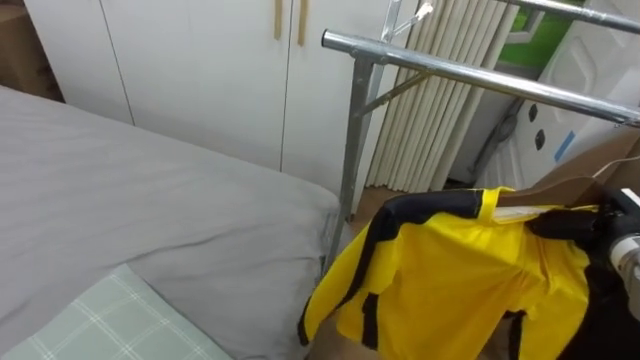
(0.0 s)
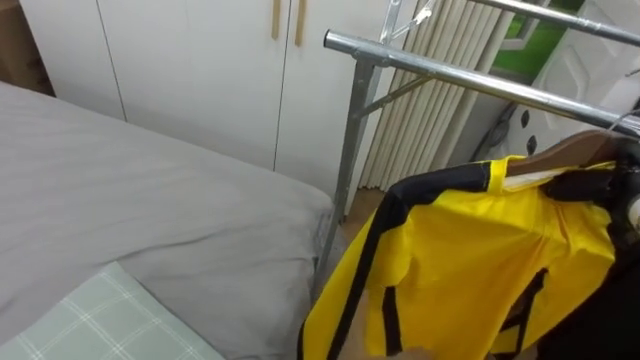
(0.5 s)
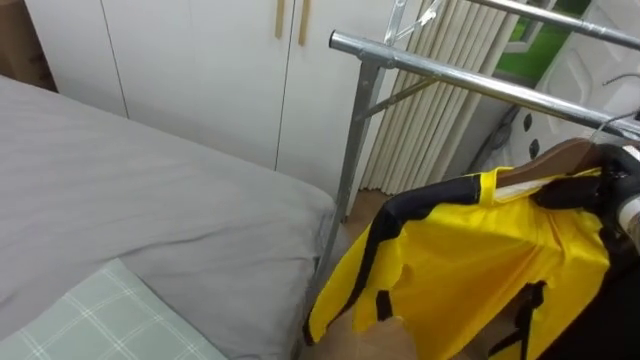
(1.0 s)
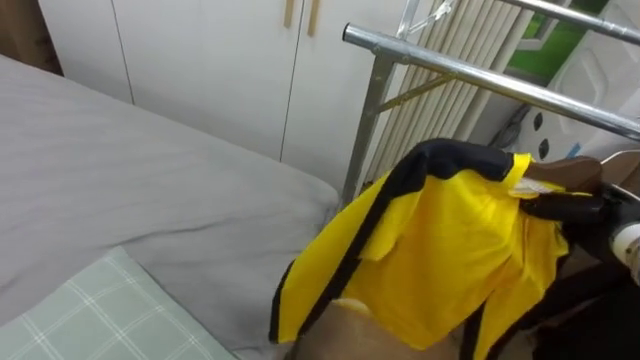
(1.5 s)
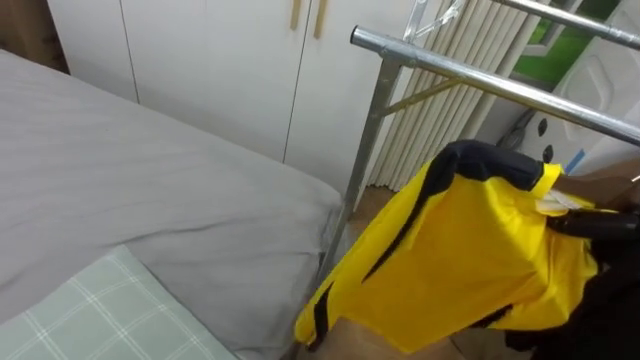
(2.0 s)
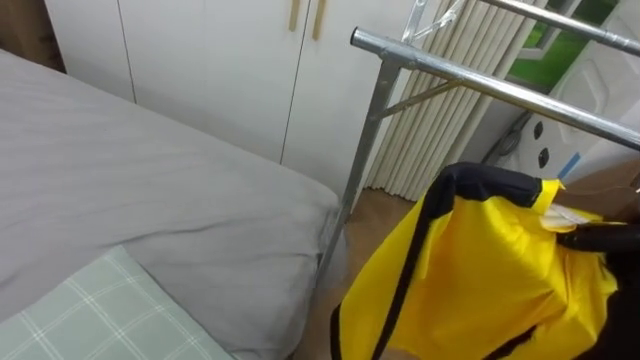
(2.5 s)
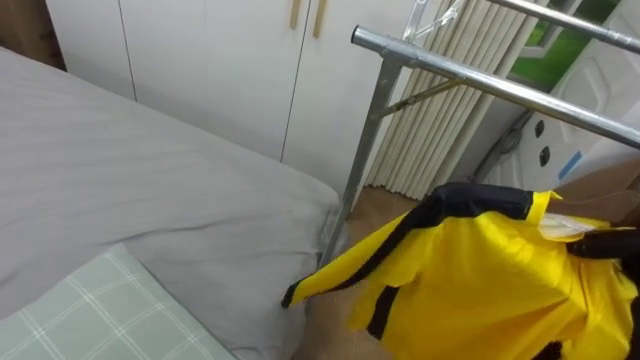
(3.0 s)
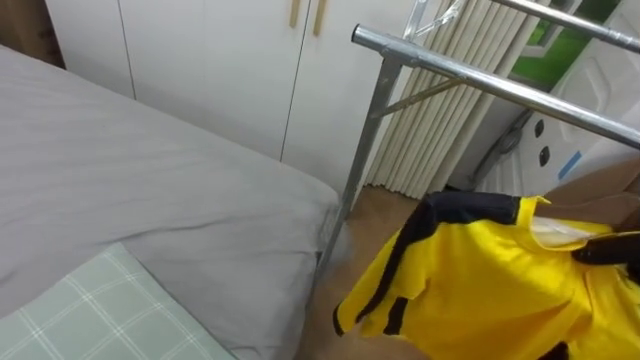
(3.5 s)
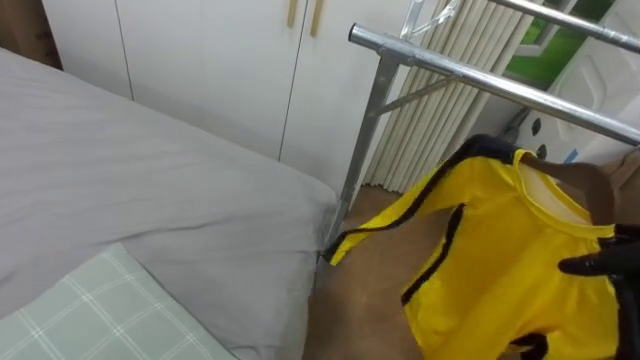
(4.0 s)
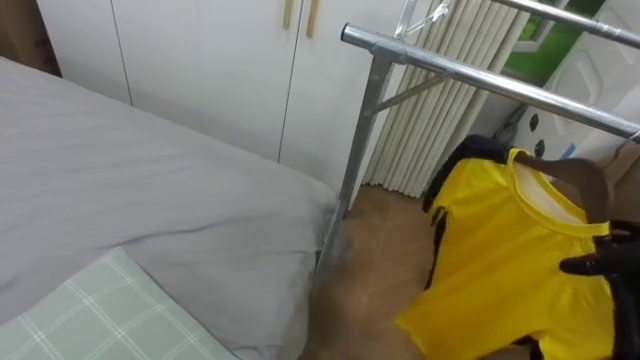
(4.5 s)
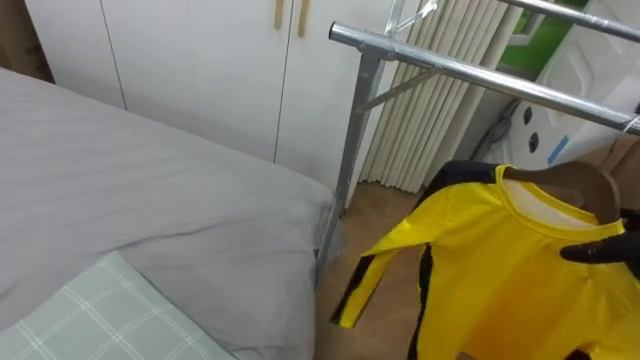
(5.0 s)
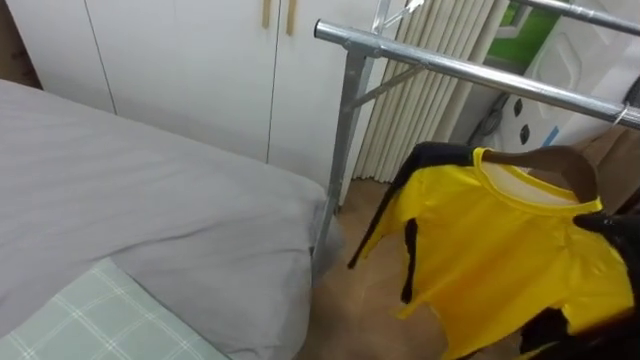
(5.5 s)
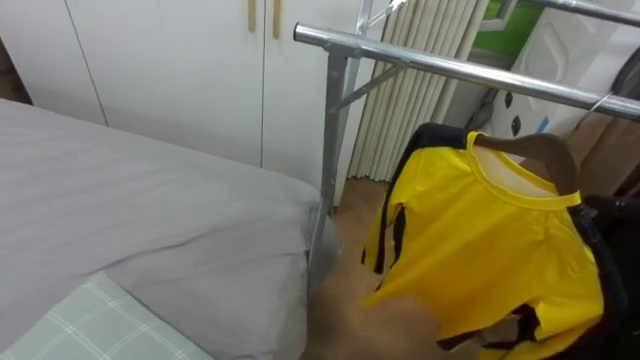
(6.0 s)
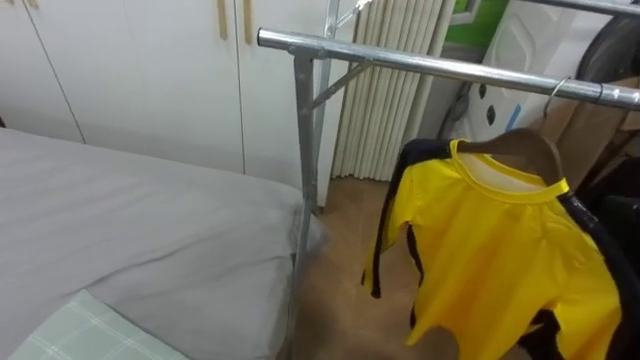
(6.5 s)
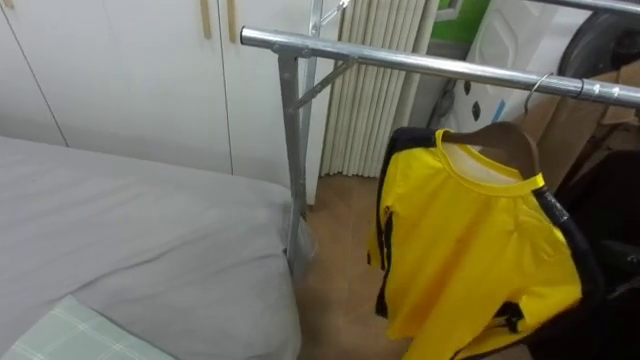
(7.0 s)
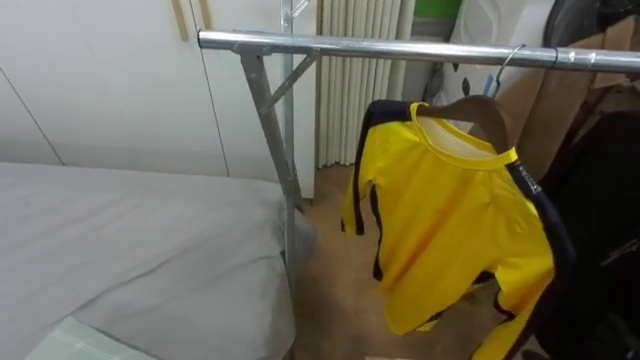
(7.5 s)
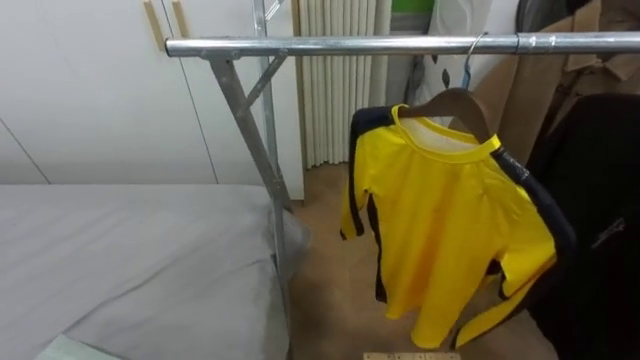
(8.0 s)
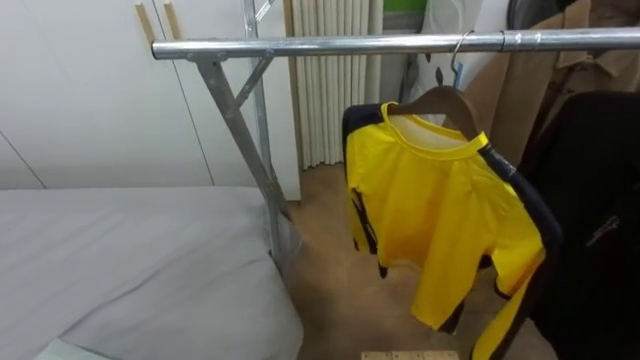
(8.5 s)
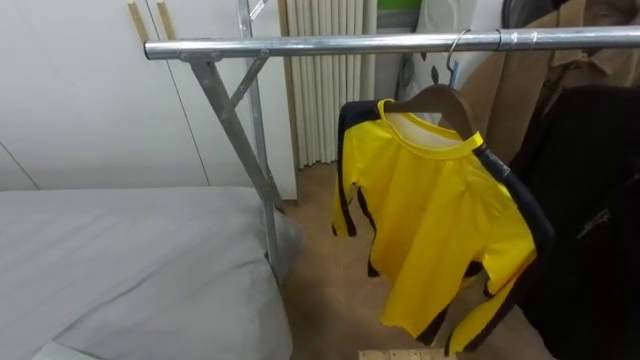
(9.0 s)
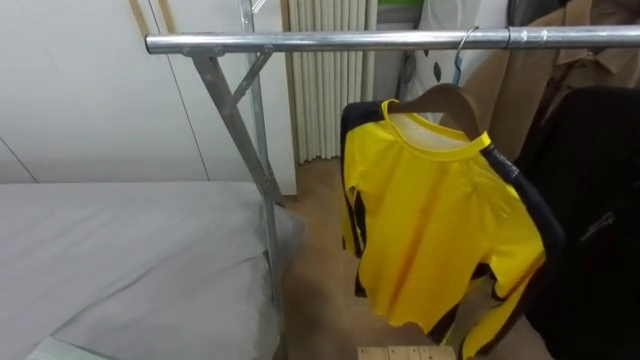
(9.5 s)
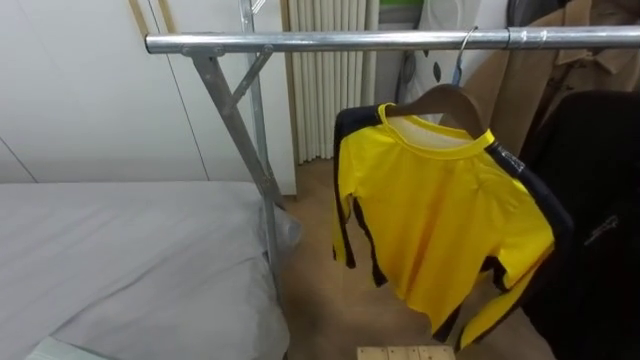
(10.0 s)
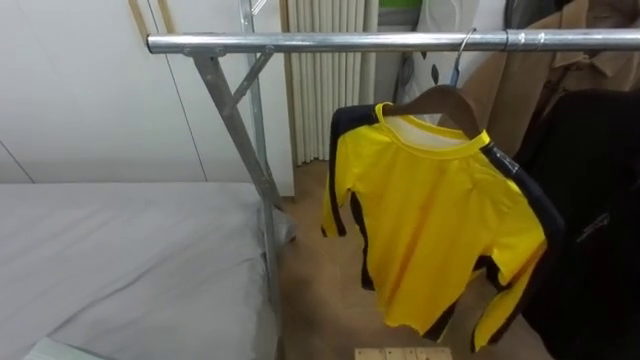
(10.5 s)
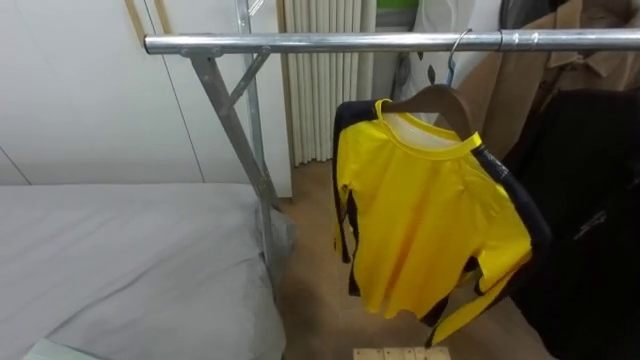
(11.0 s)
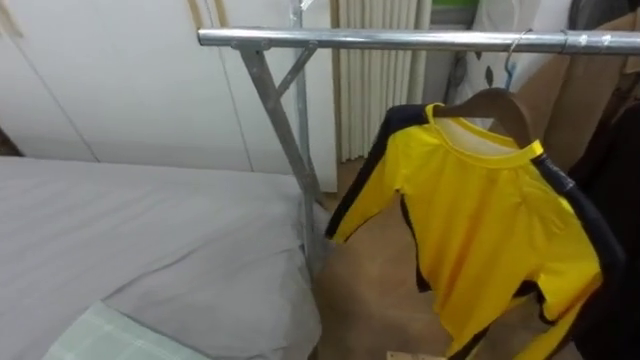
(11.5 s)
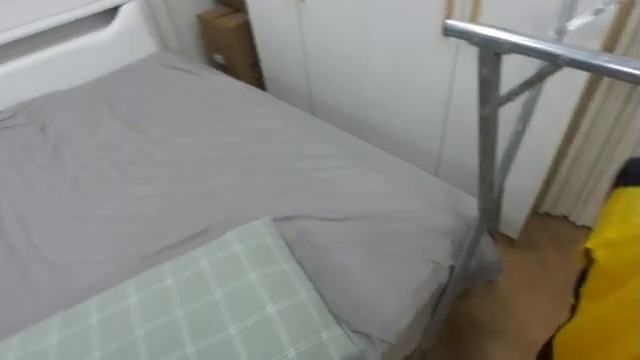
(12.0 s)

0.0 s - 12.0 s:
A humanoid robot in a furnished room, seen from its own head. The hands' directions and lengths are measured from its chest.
Task of the whole recording: Pick up the yellow shirt on the bed and hang it on the clothes rack on the right.
10.0 s - 12.0 s: The robot's body swings roughly 40 degrees to its left.

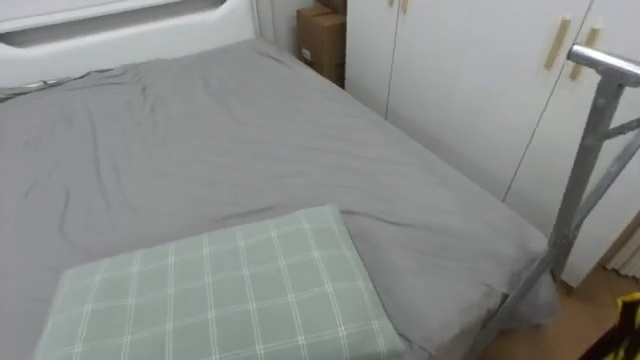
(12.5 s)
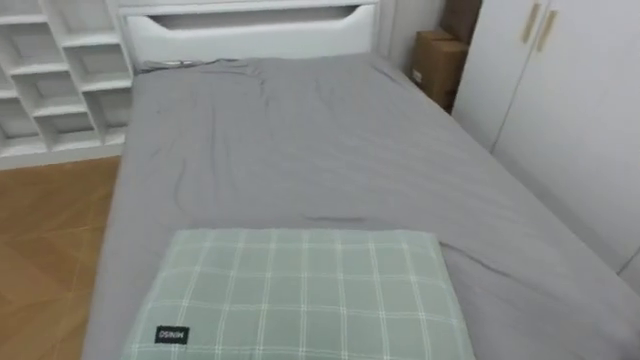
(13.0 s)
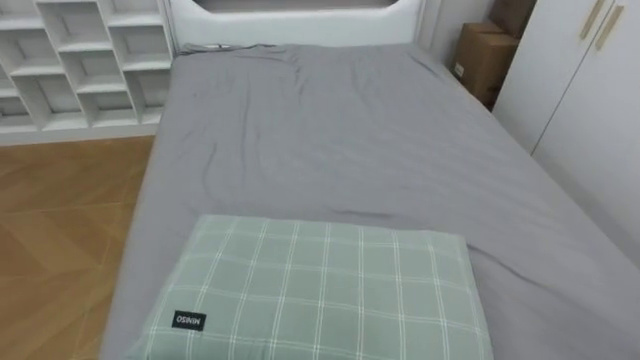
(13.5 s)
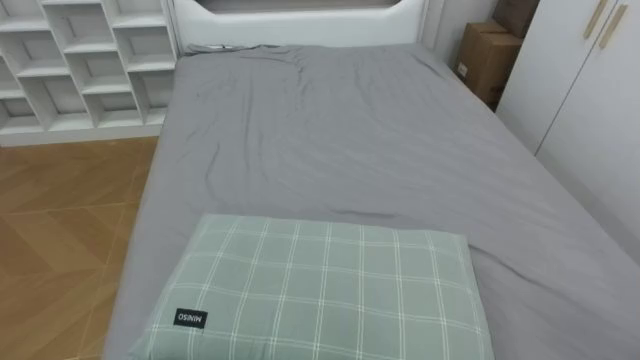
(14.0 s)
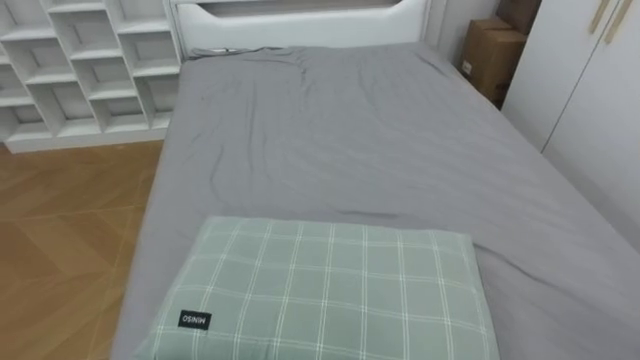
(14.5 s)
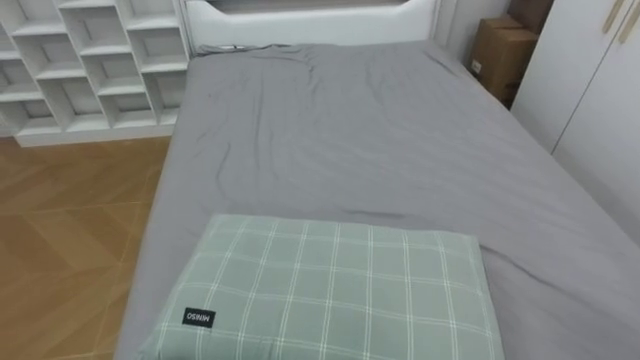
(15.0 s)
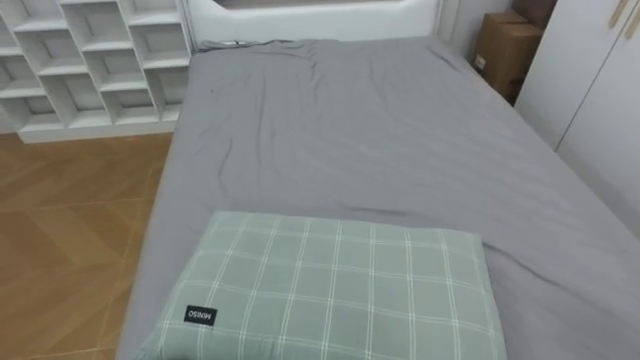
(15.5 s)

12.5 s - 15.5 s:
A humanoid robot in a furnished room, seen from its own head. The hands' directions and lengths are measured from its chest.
Task of the whole recording: Pick up the yellow shirt on the bed and hang it on the clothes rack on the right.
12.5 s - 14.0 s: The robot rotates roughly 25 degrees to its left.

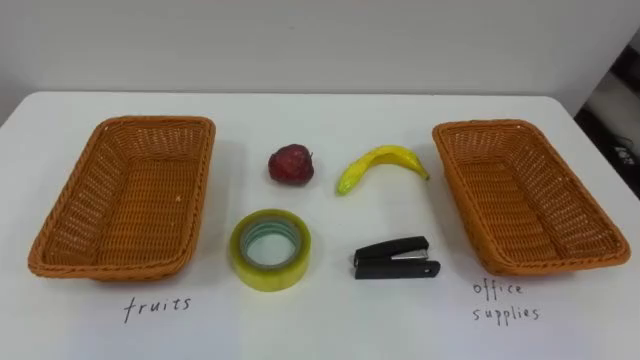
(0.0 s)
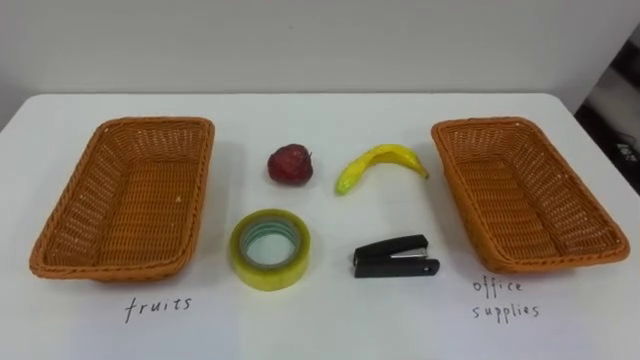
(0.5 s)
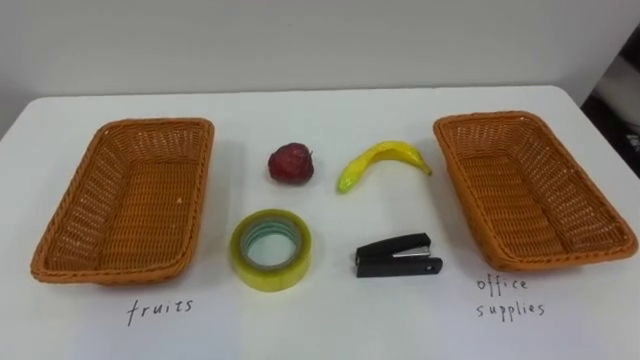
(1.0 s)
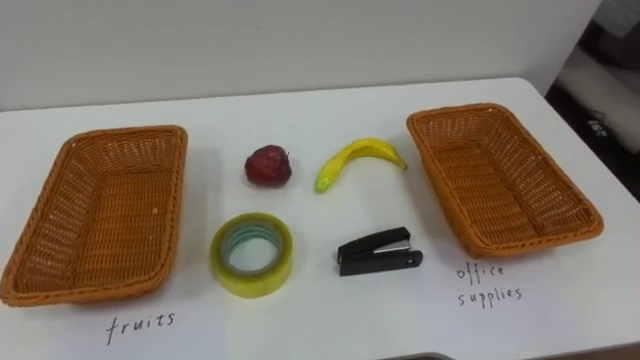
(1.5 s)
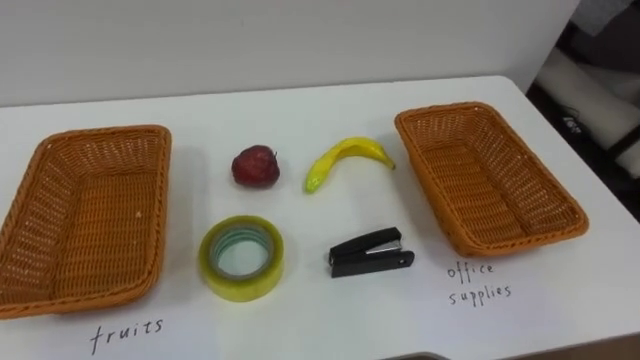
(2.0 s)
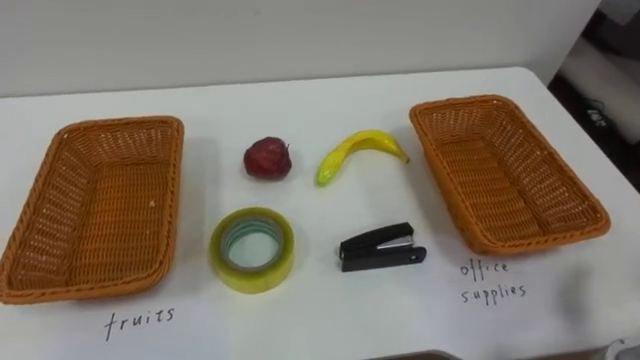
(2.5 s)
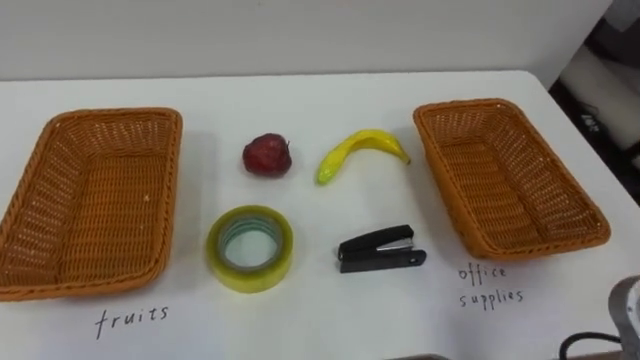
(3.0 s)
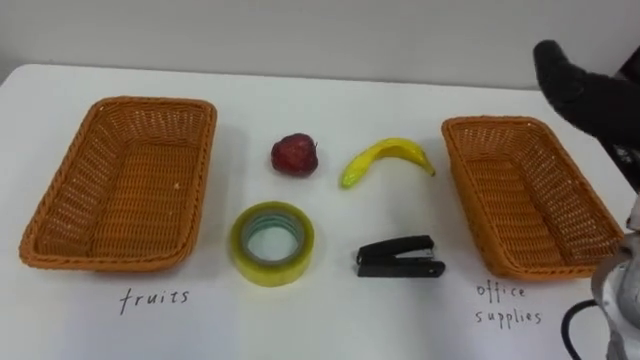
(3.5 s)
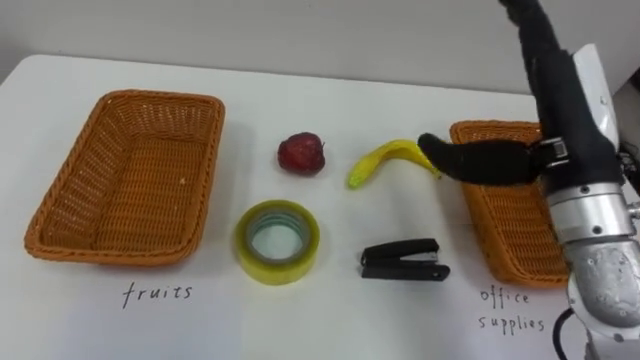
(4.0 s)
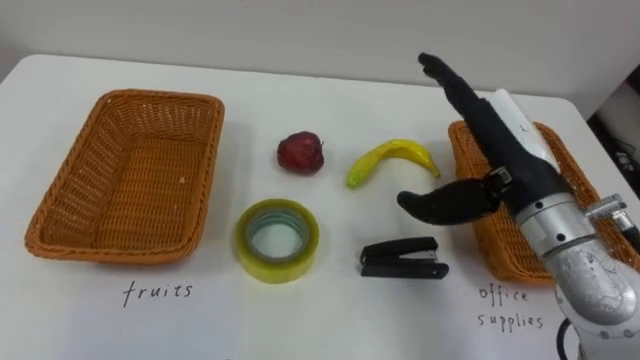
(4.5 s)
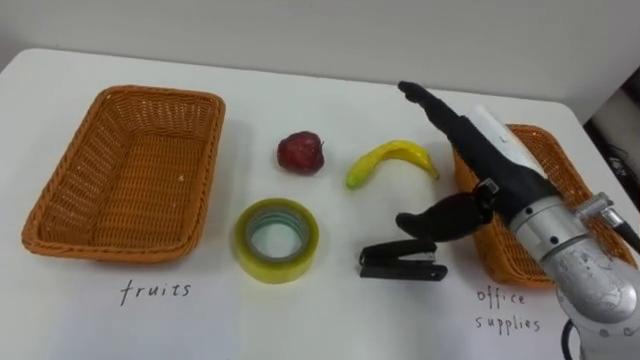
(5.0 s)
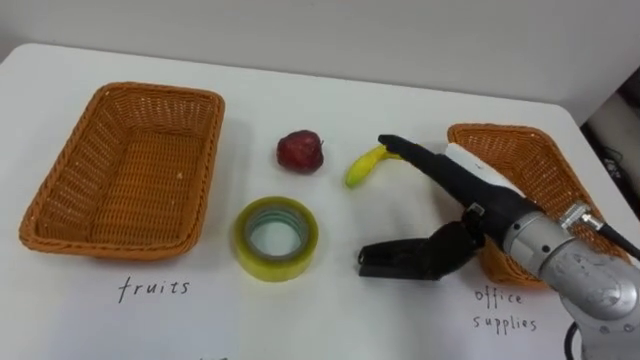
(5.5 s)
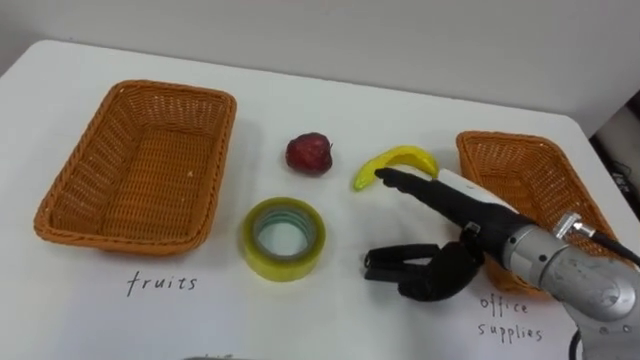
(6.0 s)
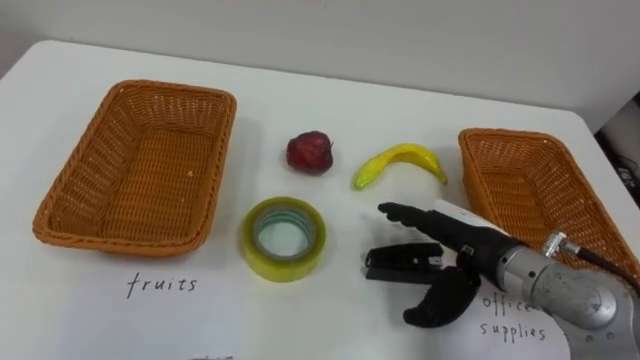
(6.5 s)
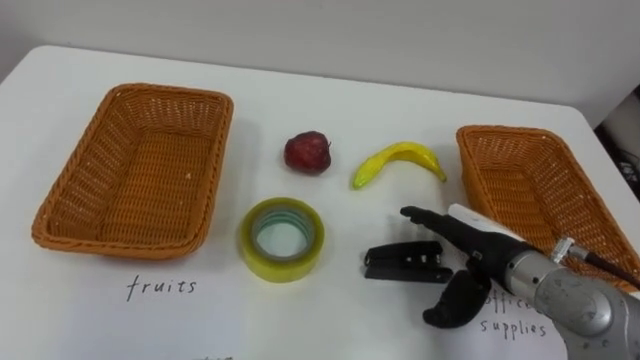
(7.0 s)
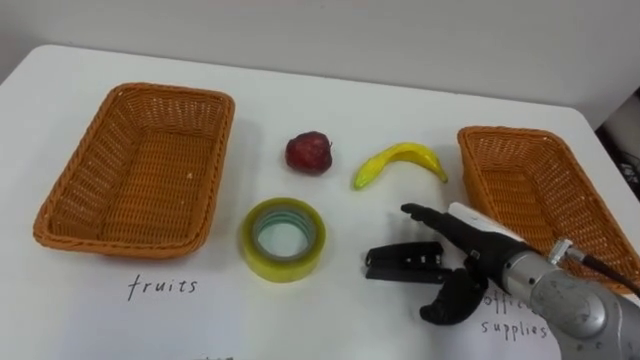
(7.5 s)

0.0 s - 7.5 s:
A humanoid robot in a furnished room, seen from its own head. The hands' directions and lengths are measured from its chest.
Task of the whole recording: Separate the items on the table and place them into the two baskets.
4.0 s - 5.5 s: The right hand shifts roughly 10 cm downward.
5.5 s - 7.5 s: The right hand heads downward, covering approximately 5 cm.
